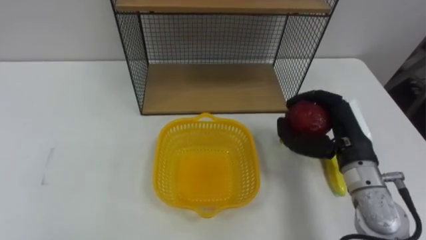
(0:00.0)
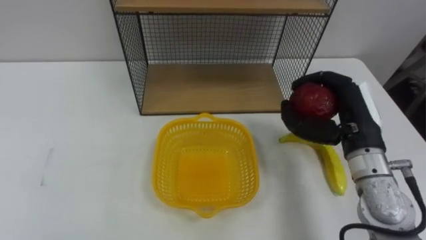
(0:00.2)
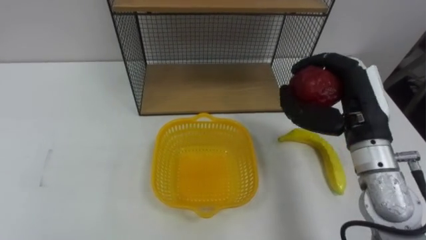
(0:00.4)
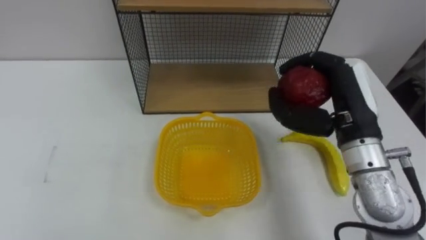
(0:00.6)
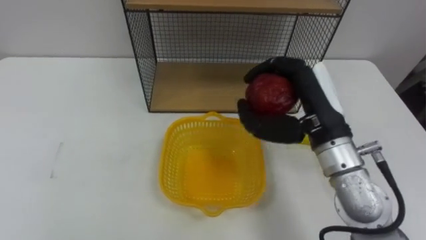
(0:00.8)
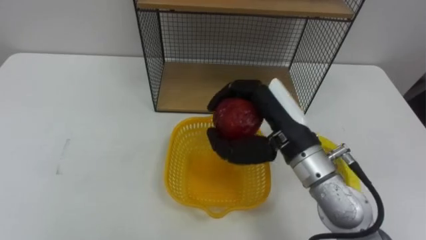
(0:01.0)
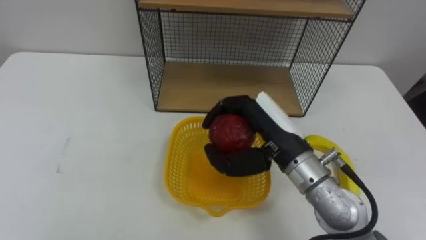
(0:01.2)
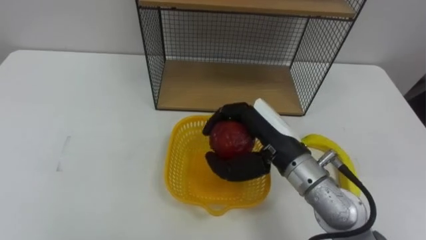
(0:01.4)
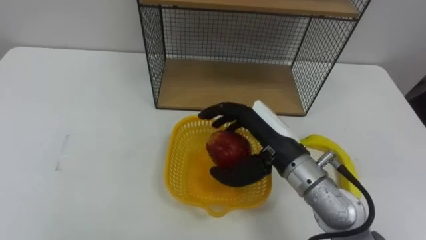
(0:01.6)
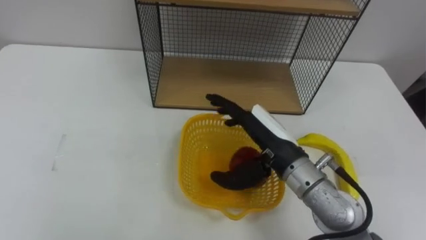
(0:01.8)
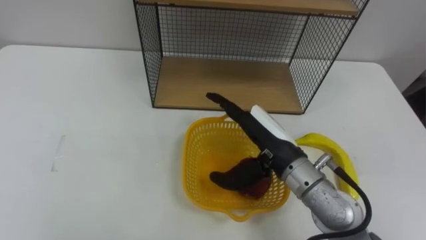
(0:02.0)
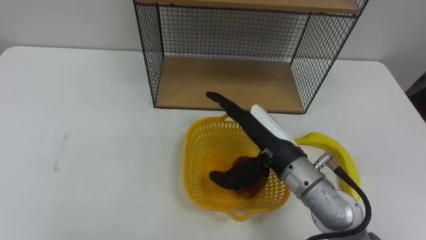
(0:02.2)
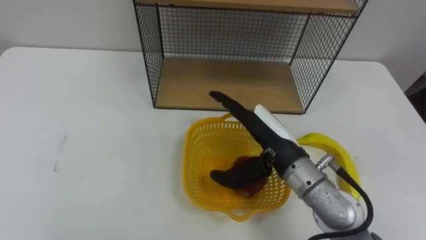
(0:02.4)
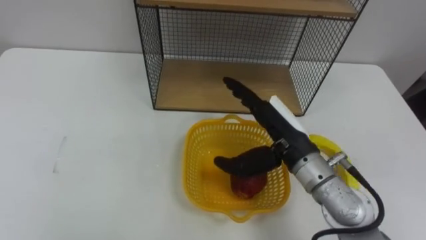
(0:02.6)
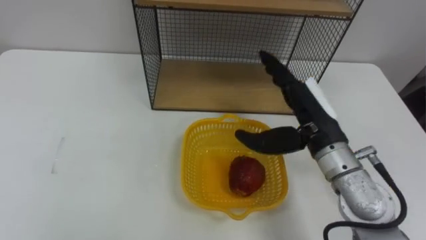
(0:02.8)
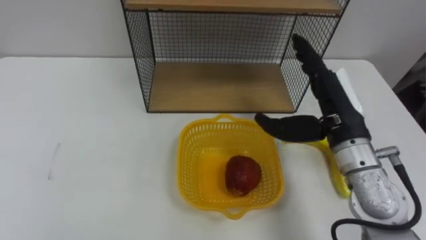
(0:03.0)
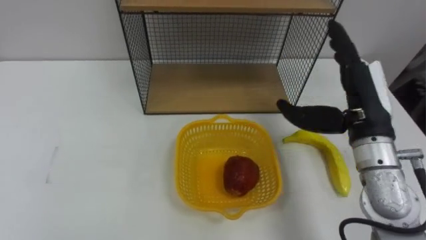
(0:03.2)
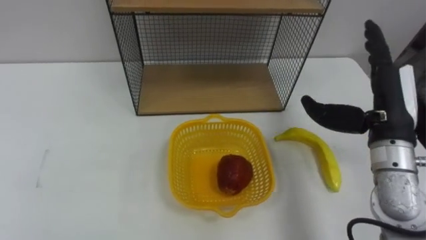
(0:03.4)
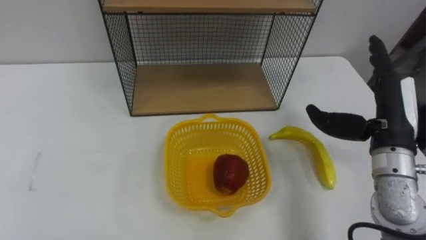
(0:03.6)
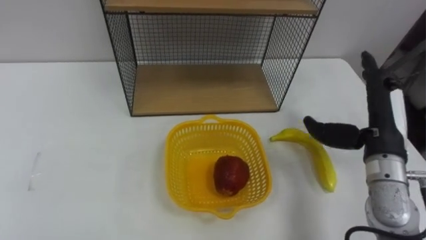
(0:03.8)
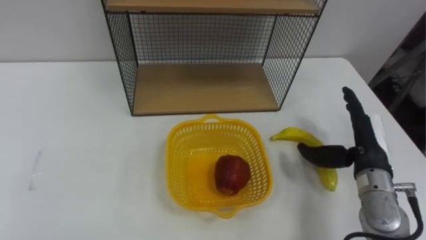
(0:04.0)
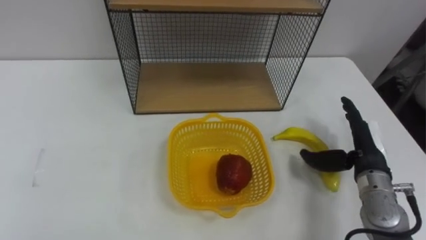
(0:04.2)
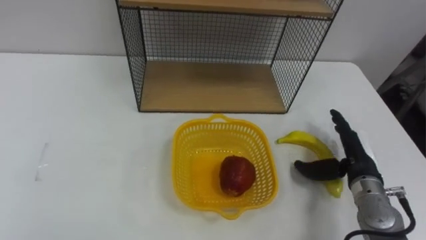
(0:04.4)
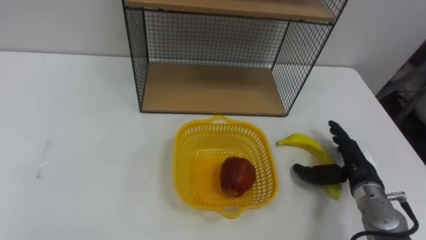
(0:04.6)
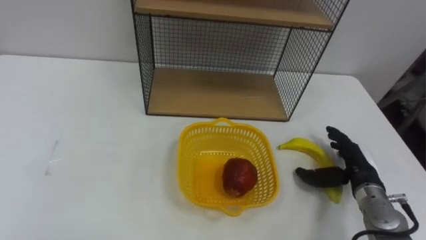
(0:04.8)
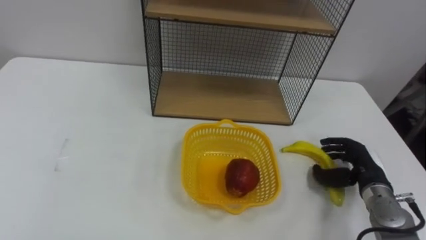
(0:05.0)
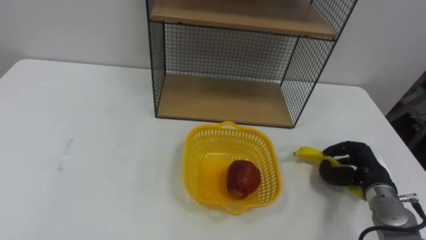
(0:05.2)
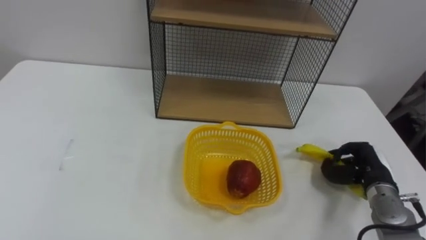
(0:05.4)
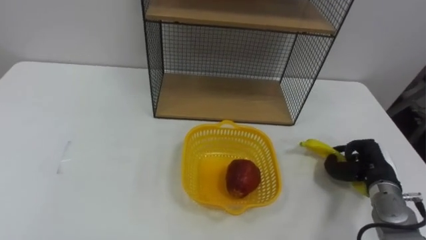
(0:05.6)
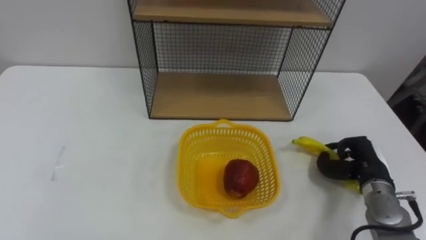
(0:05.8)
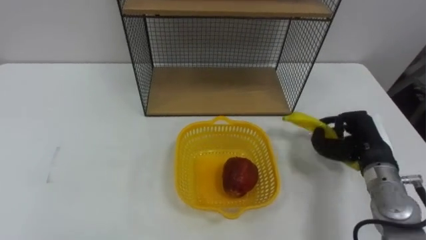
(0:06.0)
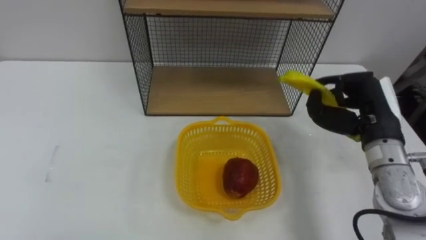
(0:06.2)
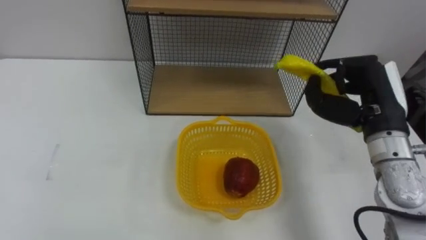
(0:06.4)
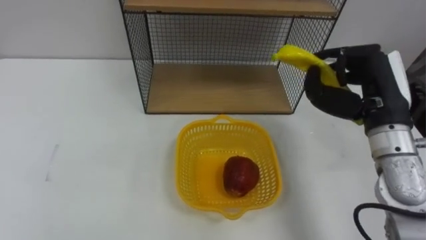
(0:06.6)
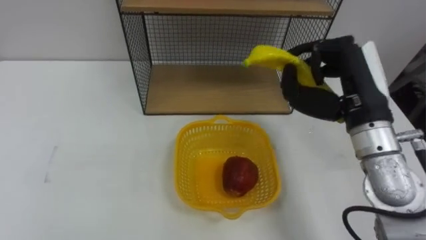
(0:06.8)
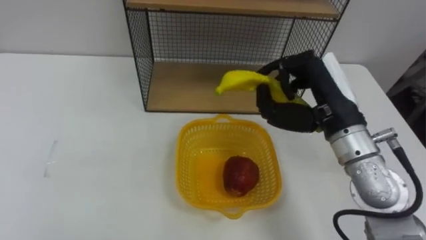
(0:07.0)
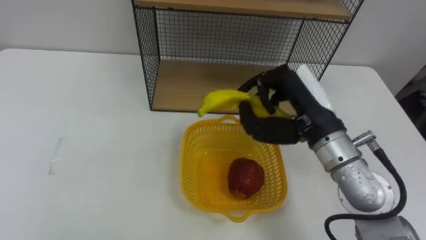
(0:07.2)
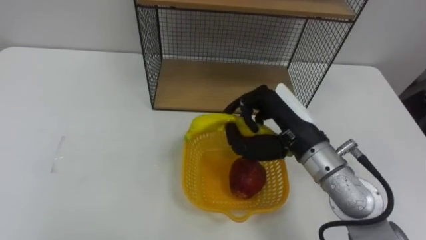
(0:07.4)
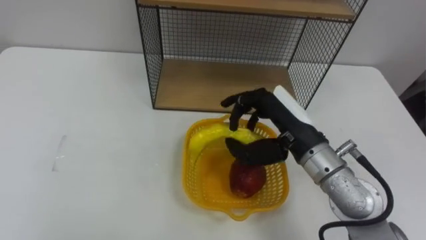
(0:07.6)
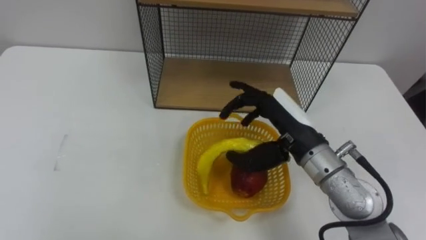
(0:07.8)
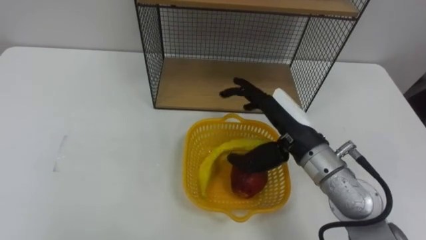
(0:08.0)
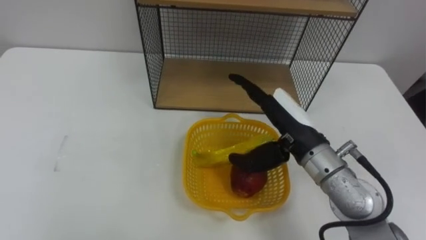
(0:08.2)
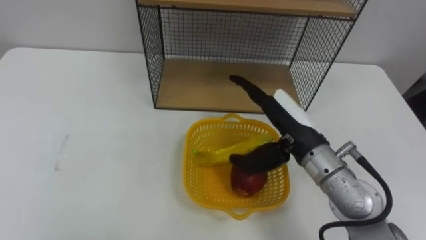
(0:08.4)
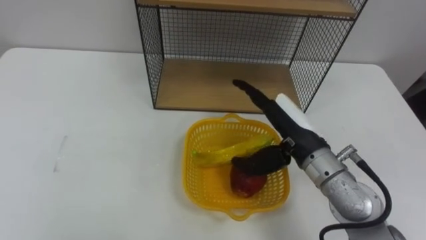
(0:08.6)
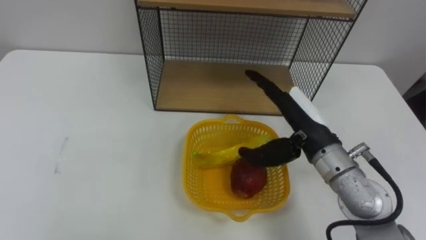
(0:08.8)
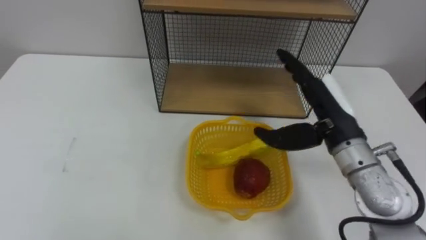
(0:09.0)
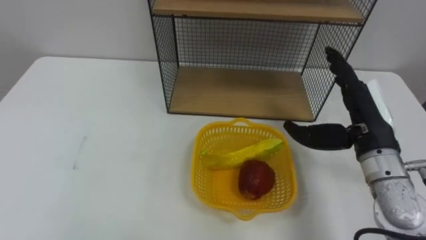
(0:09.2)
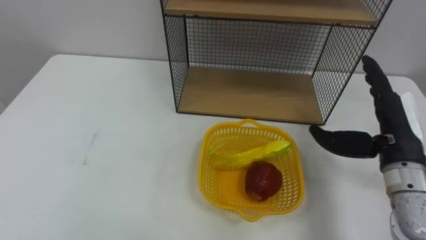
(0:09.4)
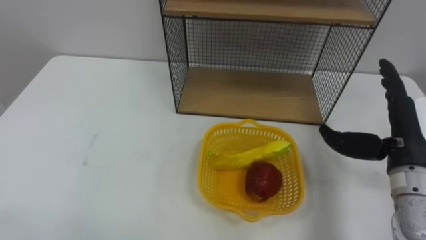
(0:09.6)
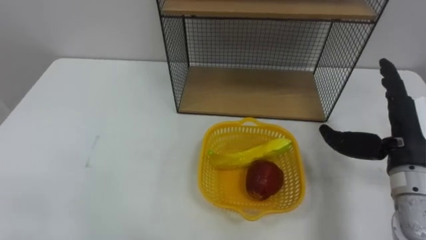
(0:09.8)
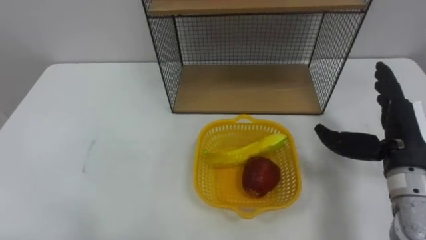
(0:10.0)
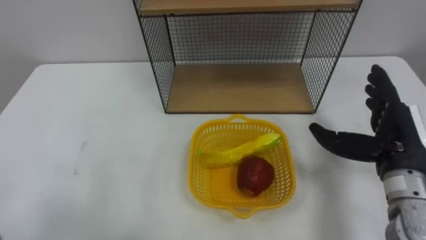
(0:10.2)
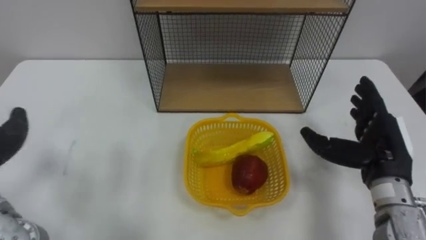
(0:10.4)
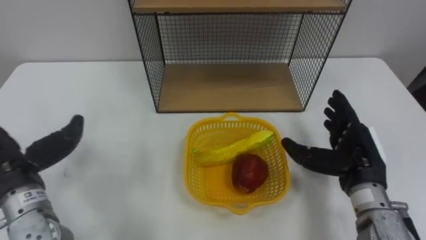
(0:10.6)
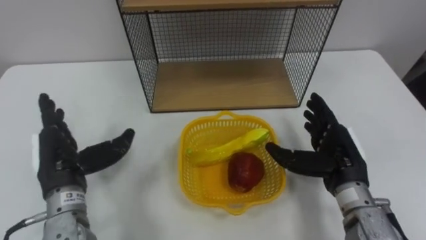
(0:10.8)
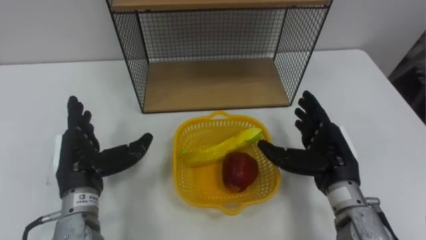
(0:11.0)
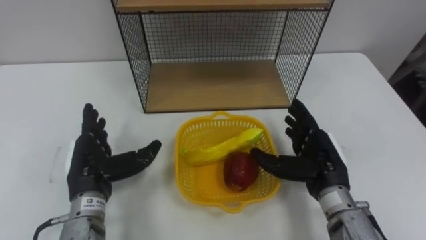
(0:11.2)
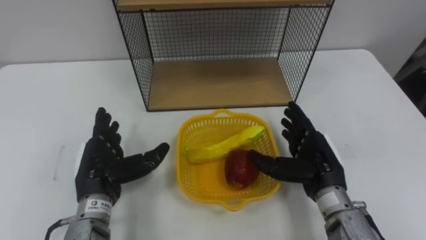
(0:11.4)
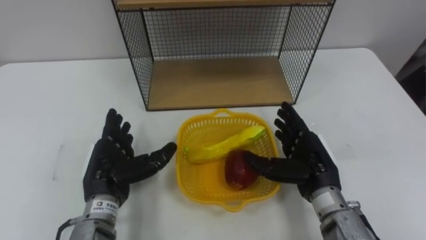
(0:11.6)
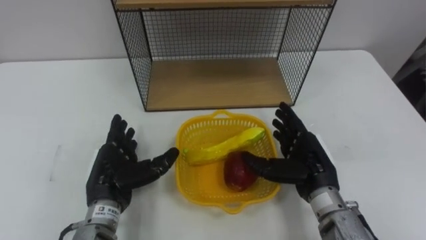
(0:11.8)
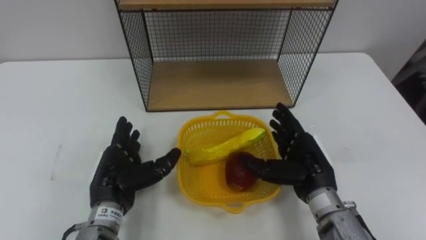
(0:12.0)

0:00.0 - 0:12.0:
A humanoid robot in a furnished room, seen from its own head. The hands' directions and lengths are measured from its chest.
Task of the whole recording: Put the fruit on the table into the basket, then place the basket on the shelf.
0:00.0 - 0:01.6: The right hand heads to the left, covering roughly 15 cm.
0:01.6 - 0:03.0: The right hand shifts about 10 cm to the right.
0:03.0 - 0:04.4: The right hand shifts some 15 cm downward and to the right.
0:04.4 - 0:06.0: The right hand closes its fingers.
0:06.0 - 0:07.6: The right hand travels to the left and upward by about 20 cm.
0:07.6 - 0:09.0: The right hand travels to the right by some 5 cm, and opens its fingers.
0:09.0 - 0:10.4: The right hand is displaced to the right by approximately 10 cm.
0:10.4 - 0:12.0: The right hand travels to the left and downward by roughly 10 cm.

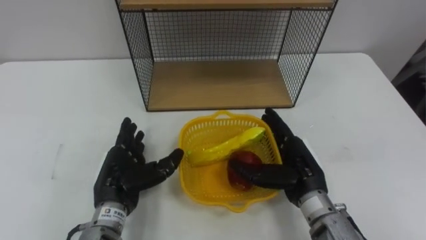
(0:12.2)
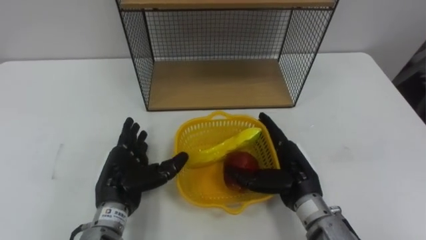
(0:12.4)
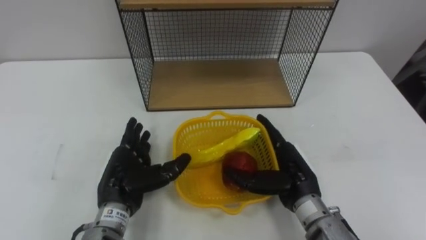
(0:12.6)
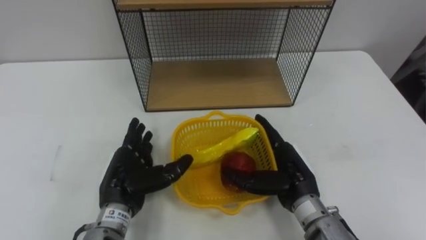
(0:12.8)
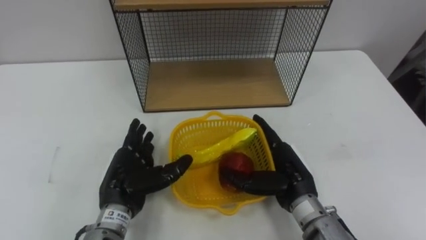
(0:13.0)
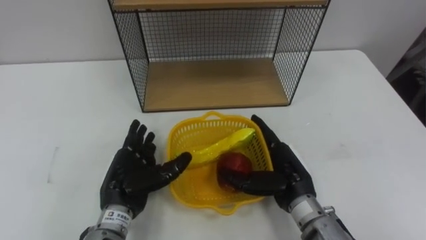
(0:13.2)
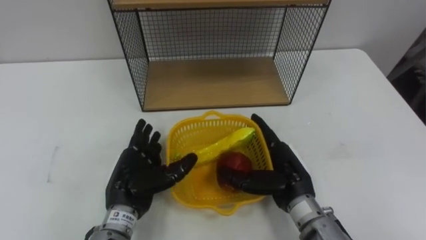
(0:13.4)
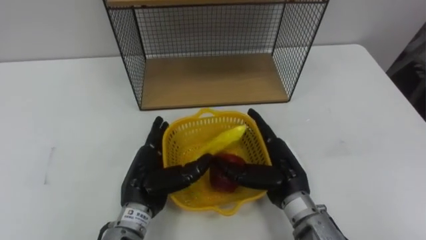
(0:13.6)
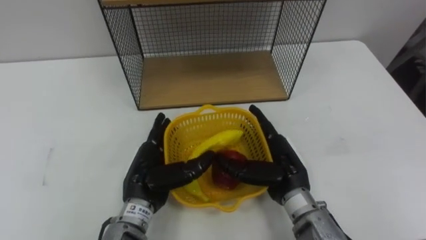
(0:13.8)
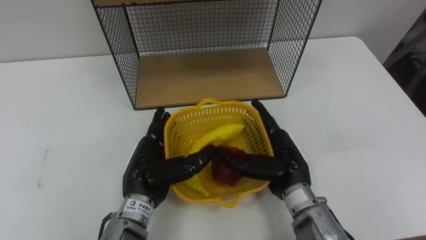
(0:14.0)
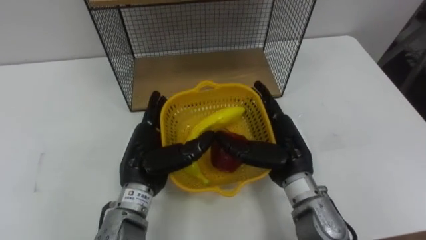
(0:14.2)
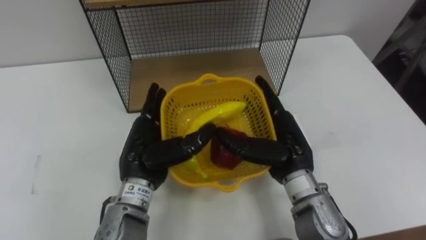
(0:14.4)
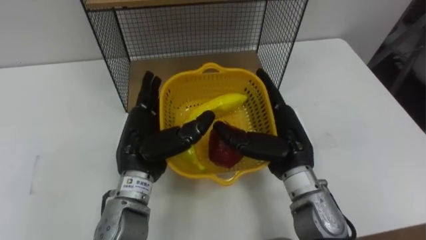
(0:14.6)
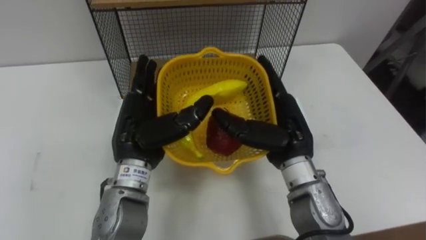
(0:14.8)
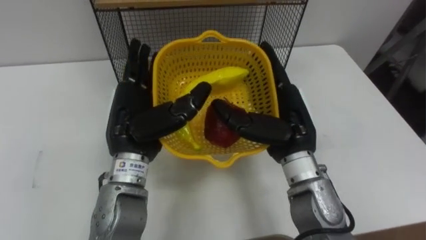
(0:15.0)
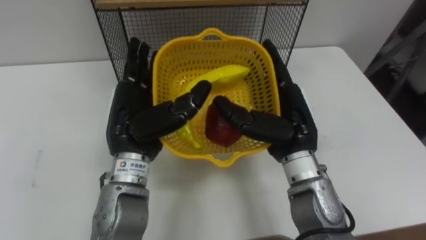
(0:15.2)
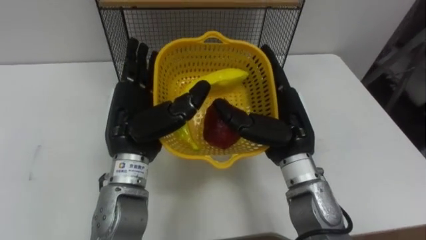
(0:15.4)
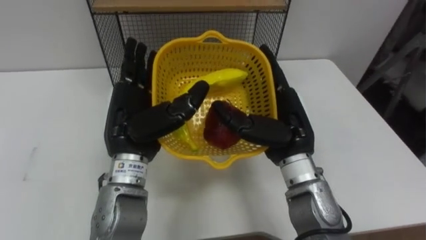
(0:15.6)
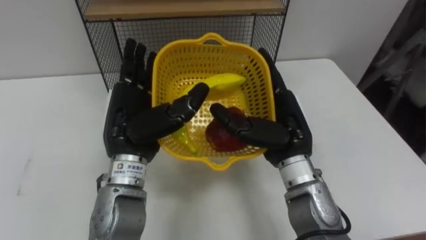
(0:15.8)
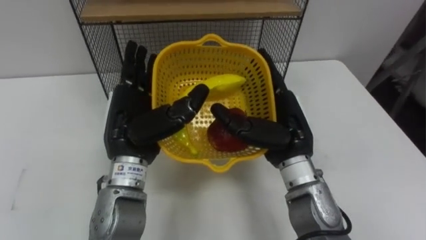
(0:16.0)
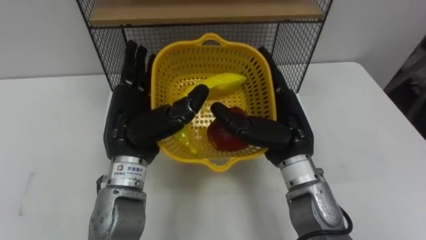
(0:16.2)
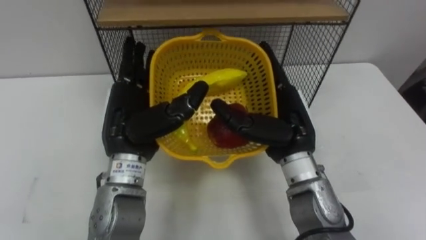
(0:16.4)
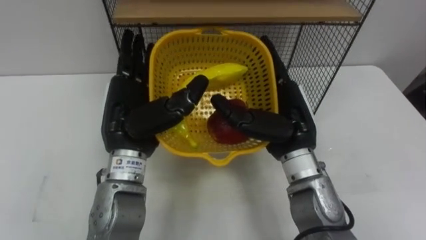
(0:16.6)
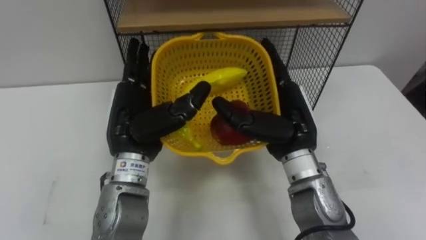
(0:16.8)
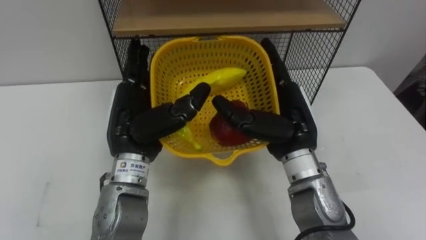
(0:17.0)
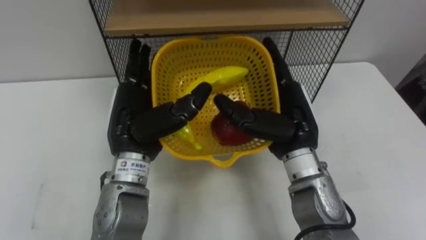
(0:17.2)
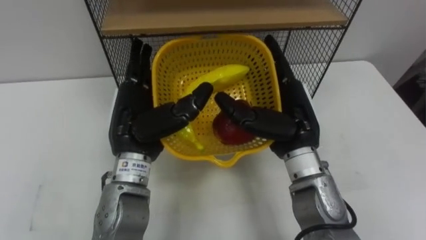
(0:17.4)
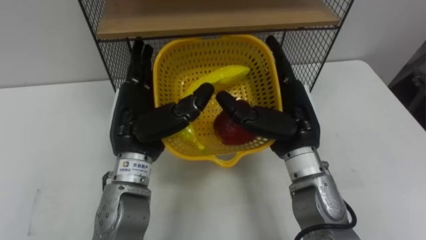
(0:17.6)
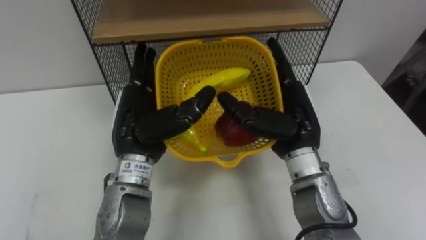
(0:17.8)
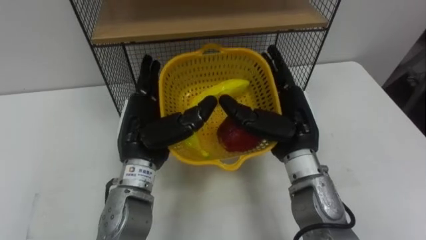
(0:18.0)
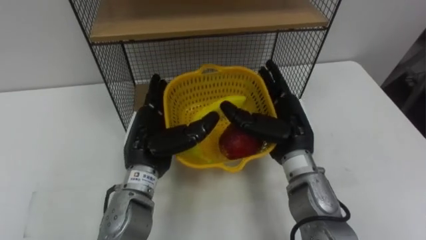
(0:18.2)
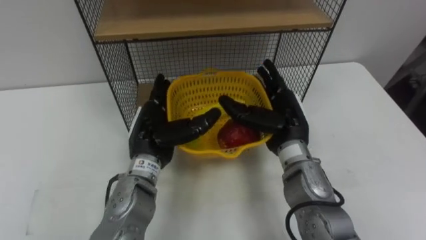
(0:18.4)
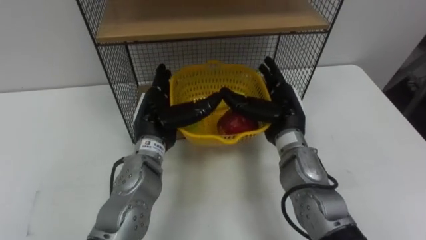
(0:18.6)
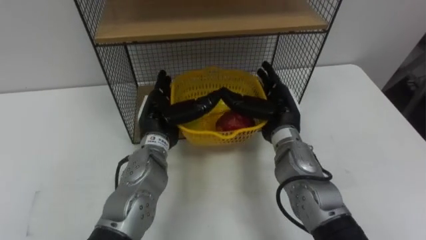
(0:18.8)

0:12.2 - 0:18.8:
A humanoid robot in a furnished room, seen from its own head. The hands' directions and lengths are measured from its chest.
Task of the whole recording: Put the fruit on the table into the basket, then place the basket on the shelf.
0:12.2 - 0:13.8: The left hand travels to the right by approximately 5 cm.
0:13.8 - 0:15.4: The hands both shift upward by approximately 10 cm.
0:17.2 - 0:18.8: The two hands go approximately 10 cm downward and forward.
